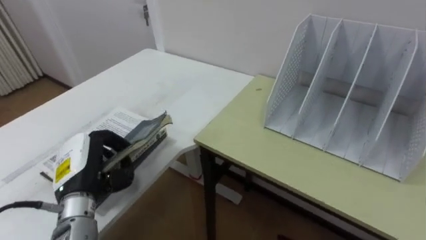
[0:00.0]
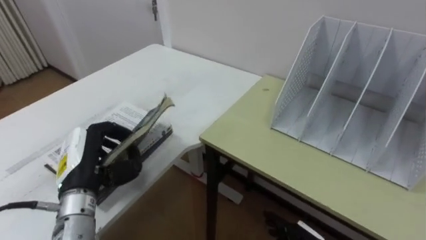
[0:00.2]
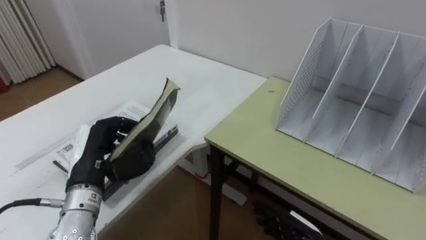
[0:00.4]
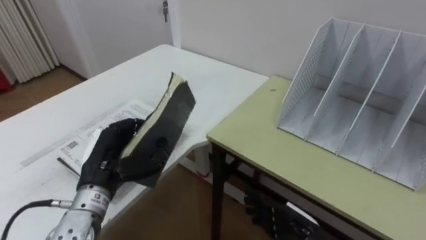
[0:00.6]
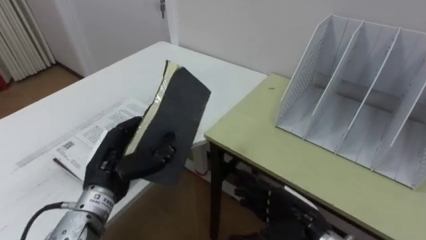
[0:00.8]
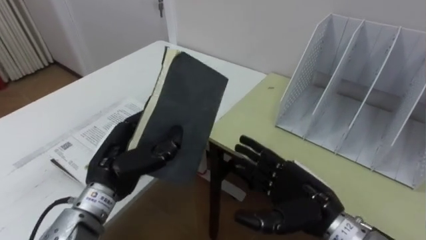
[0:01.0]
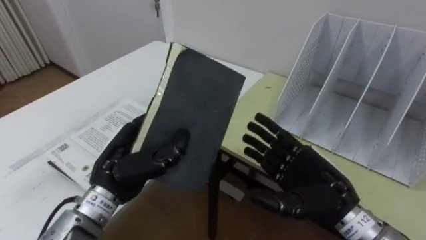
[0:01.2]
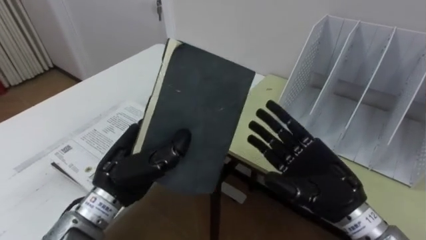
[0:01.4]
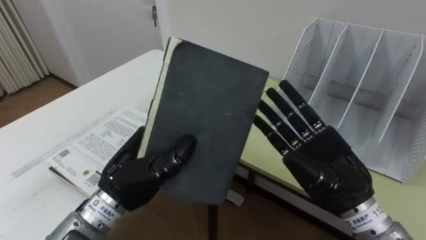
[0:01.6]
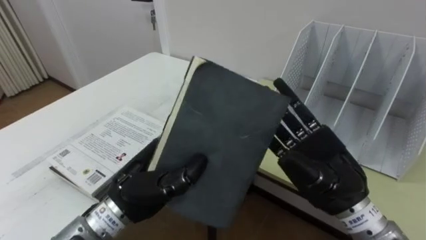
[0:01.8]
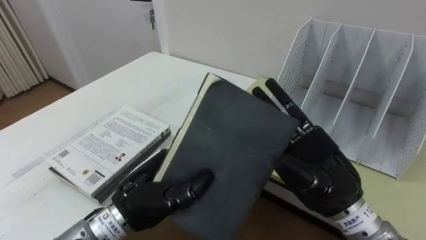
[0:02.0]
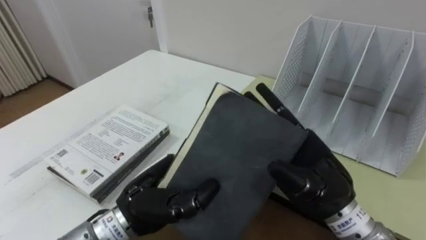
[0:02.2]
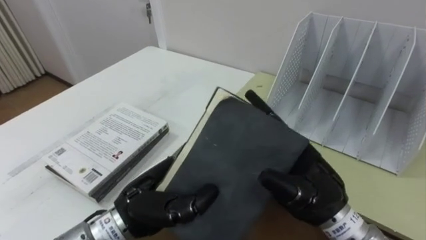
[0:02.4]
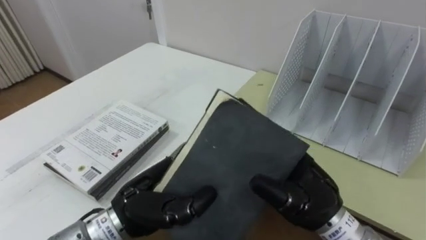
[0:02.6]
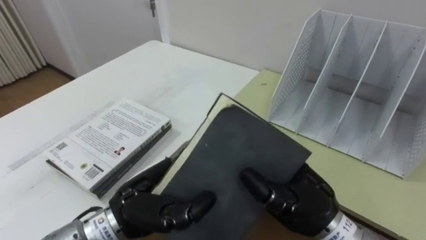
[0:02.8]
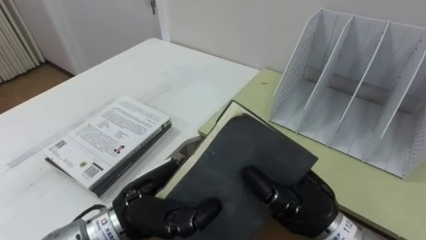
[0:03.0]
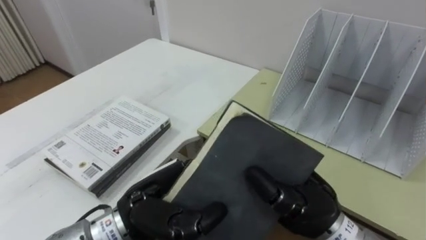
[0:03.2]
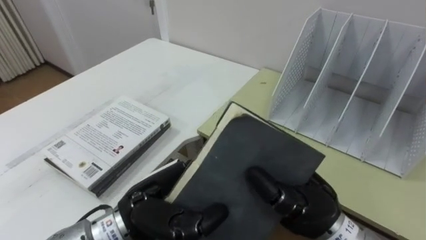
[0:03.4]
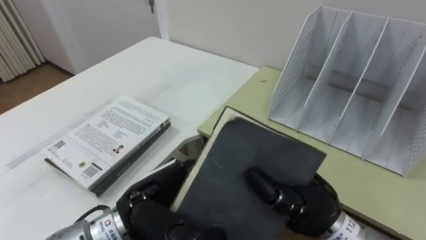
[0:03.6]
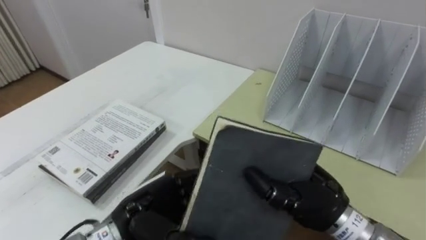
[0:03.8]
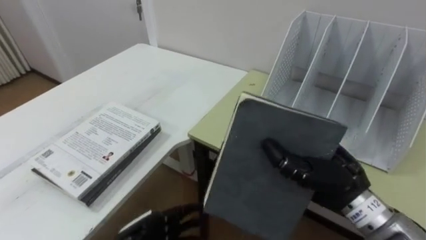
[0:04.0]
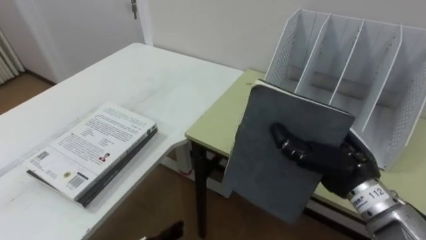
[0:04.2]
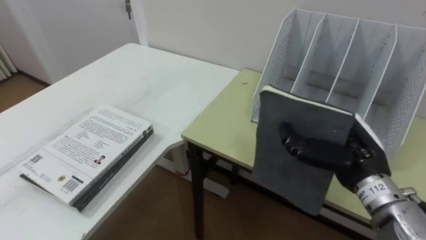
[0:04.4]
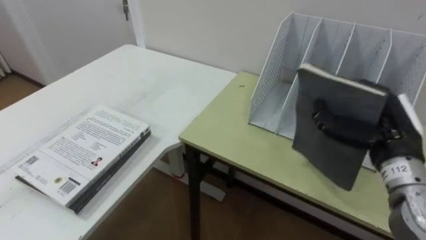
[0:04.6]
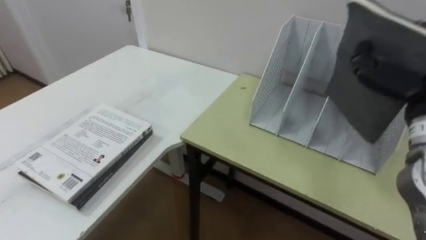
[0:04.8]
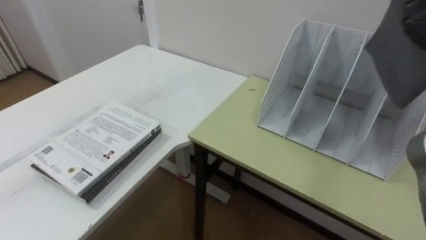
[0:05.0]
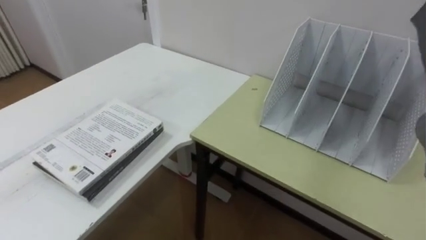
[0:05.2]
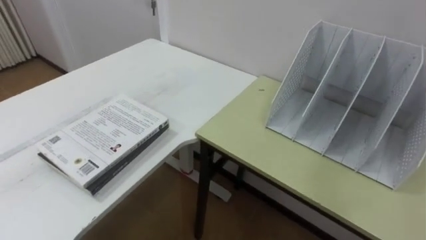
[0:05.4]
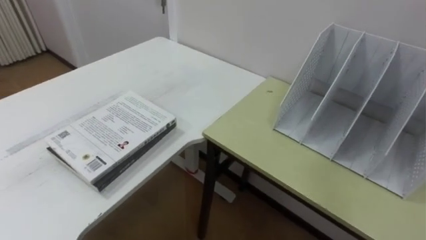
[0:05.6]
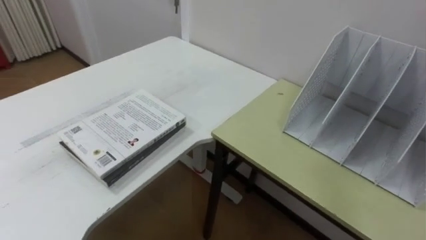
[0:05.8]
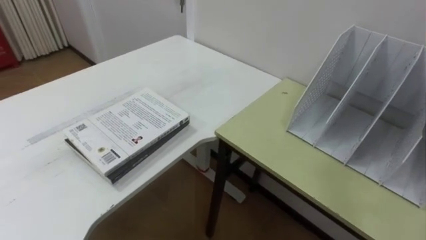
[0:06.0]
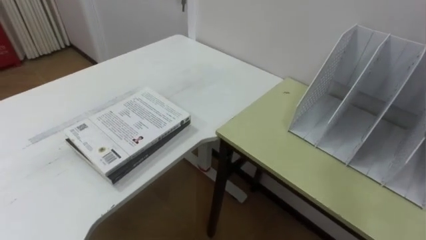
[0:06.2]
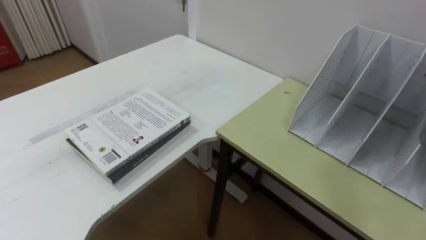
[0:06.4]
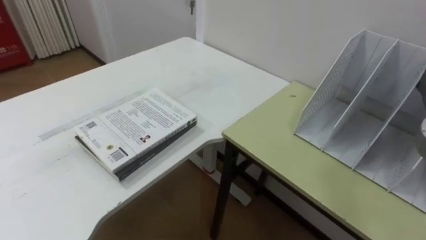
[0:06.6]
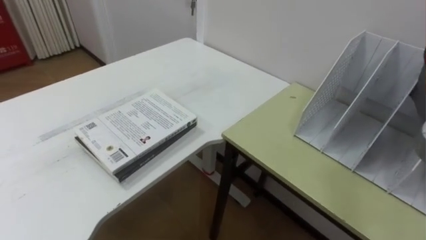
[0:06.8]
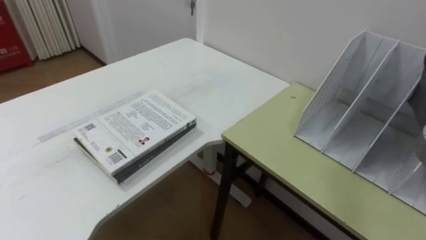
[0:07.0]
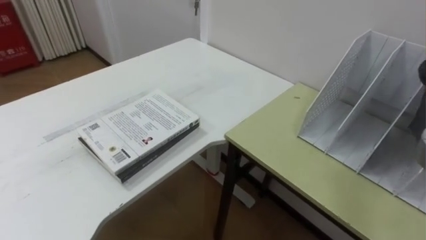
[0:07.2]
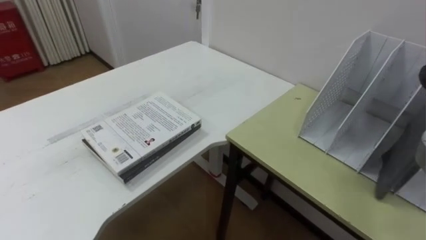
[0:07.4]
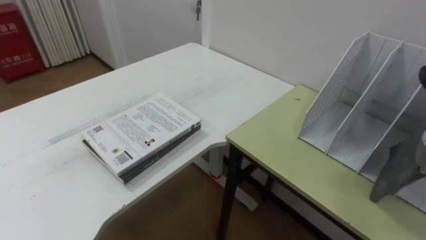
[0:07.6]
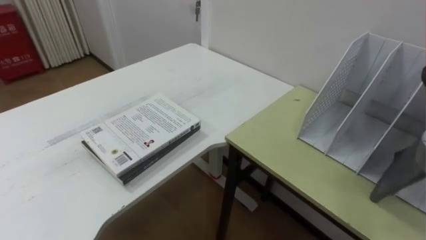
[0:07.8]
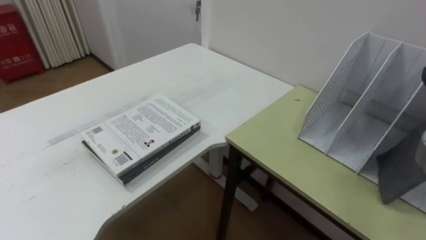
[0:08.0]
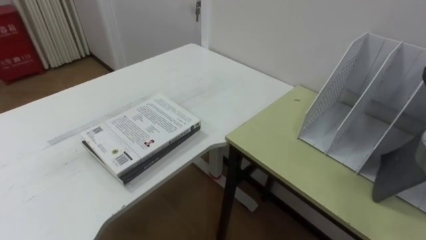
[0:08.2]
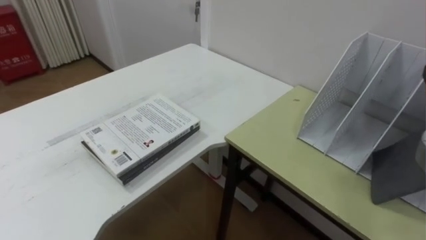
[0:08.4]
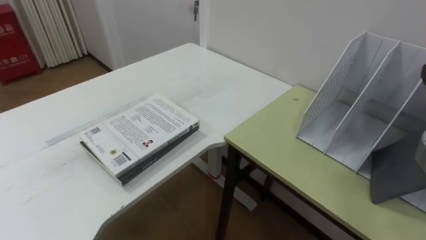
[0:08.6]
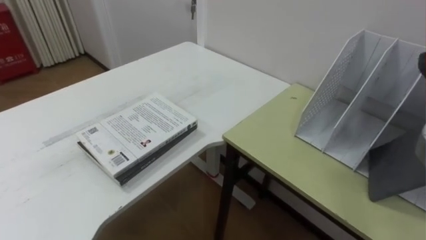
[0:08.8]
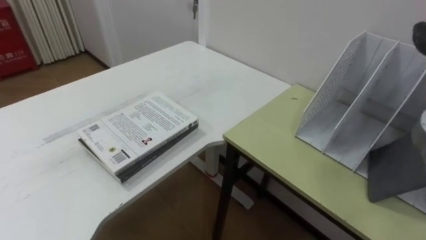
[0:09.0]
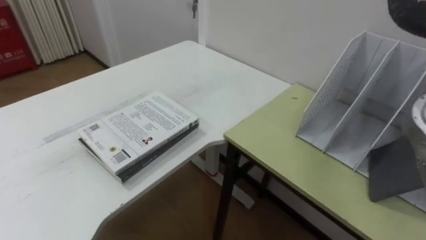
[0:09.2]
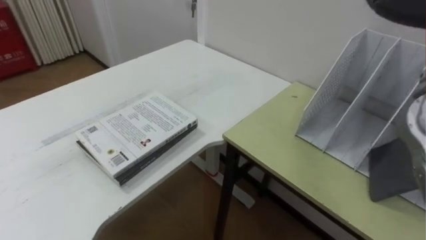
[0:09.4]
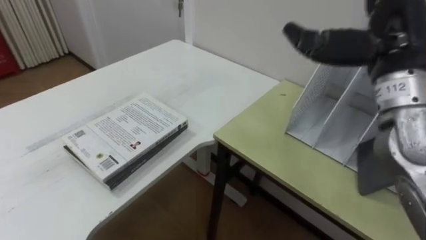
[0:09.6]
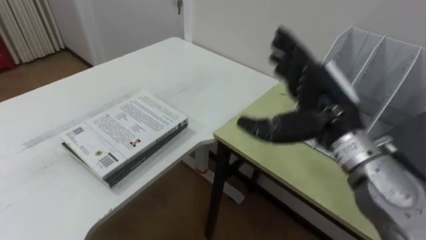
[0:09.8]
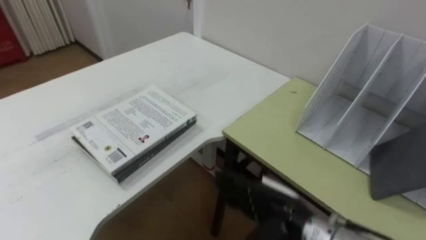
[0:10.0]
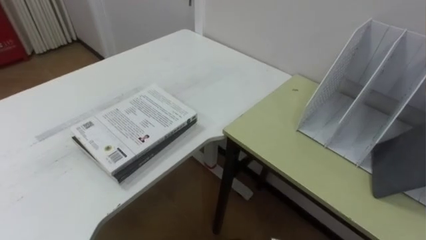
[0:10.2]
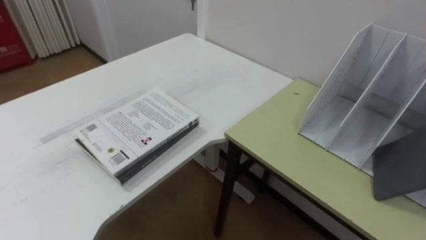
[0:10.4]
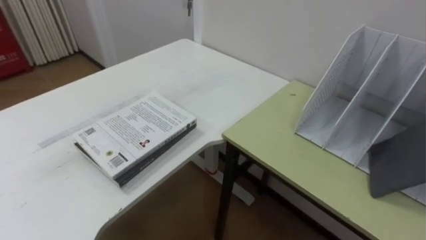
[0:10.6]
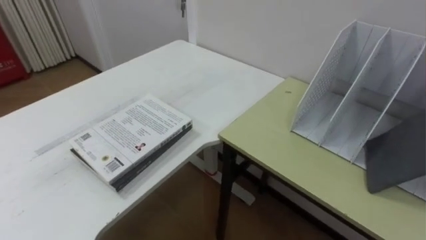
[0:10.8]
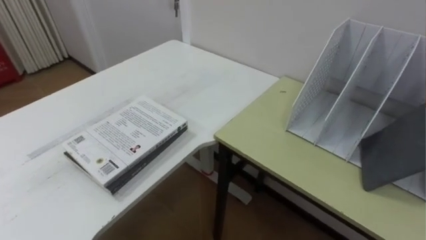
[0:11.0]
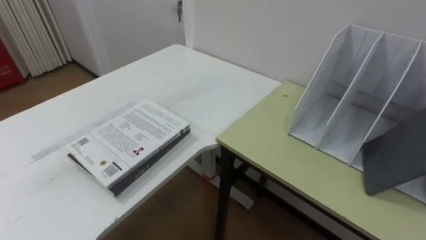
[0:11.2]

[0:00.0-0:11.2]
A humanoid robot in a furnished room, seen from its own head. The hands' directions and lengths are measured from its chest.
Task of the whole recording: Put the books on the table onto the bookshelf.
0:00.0 to 0:01.6: The left hand heads to the right and upward, covering approximately 10 cm.
0:01.6 to 0:03.2: The left hand shifts by about 5 cm. Meanwhile the right hand shifts approximately 5 cm to the left, and closes.
0:03.2 to 0:04.8: The right hand is displaced to the right, upward and forward by roughly 20 cm.

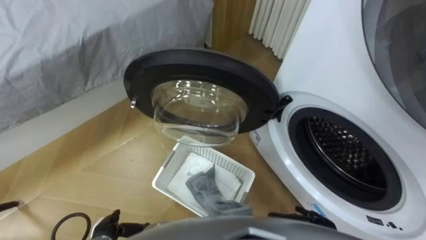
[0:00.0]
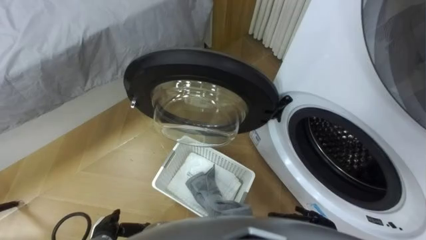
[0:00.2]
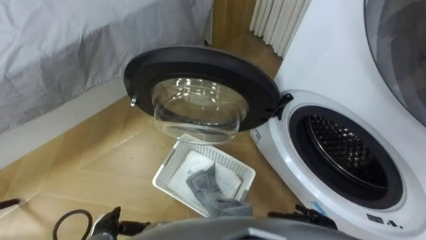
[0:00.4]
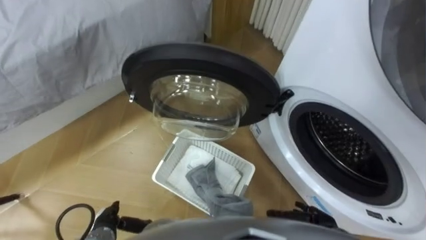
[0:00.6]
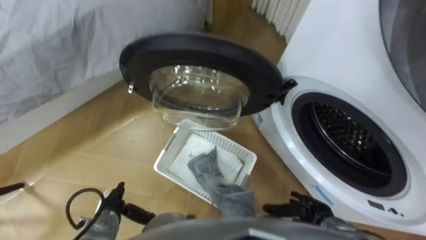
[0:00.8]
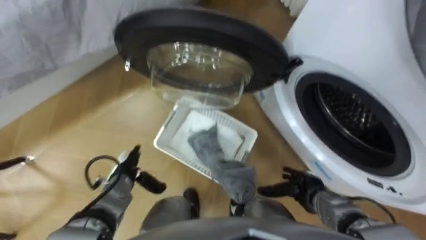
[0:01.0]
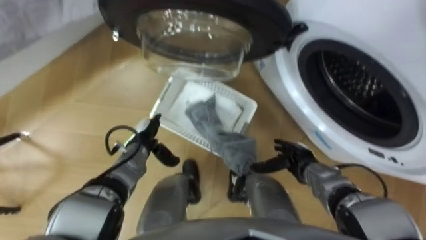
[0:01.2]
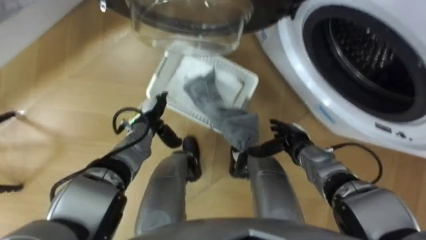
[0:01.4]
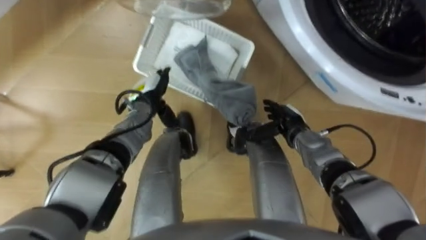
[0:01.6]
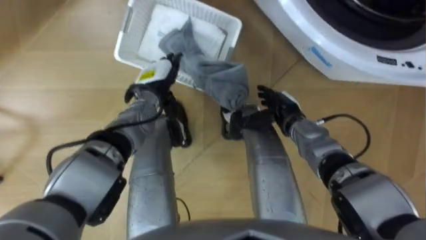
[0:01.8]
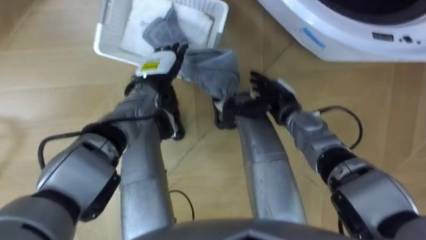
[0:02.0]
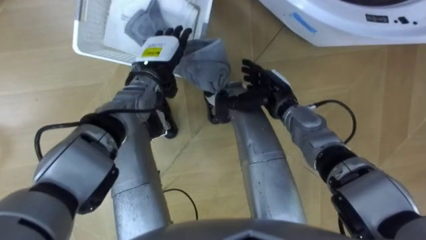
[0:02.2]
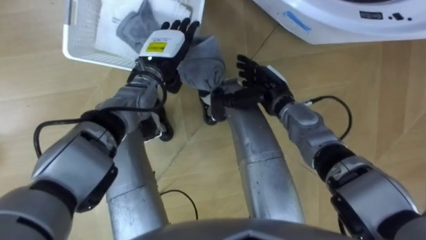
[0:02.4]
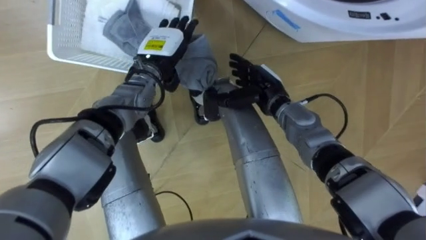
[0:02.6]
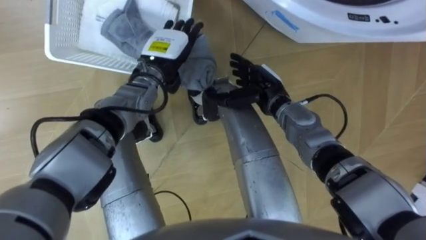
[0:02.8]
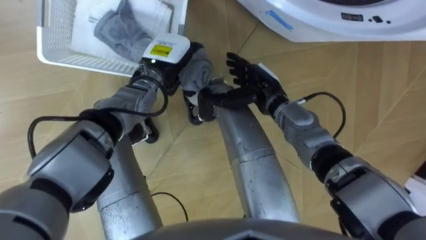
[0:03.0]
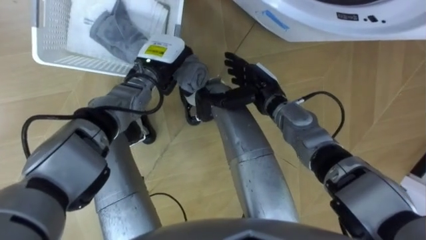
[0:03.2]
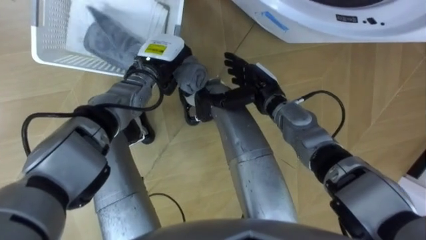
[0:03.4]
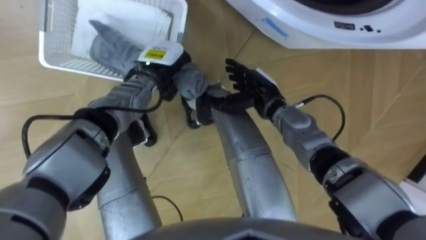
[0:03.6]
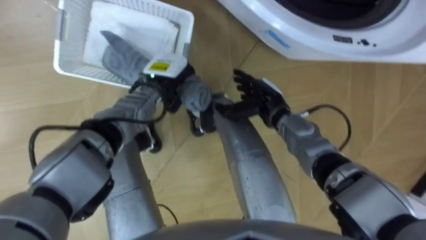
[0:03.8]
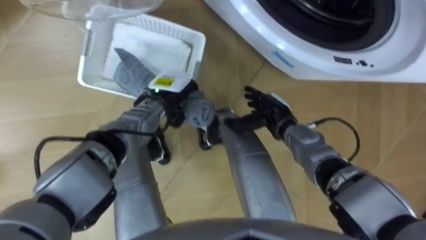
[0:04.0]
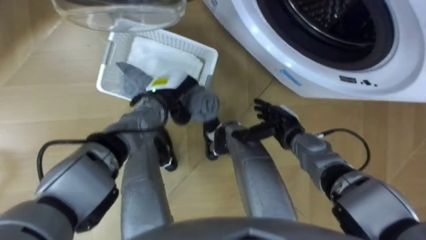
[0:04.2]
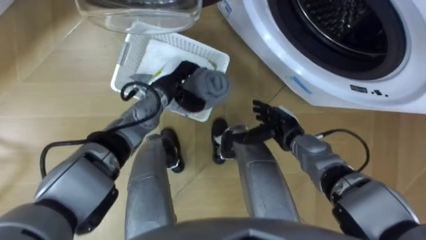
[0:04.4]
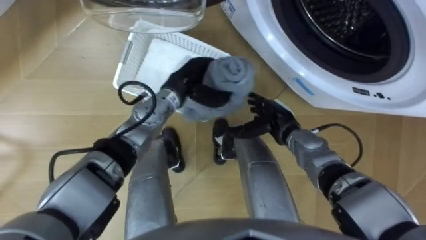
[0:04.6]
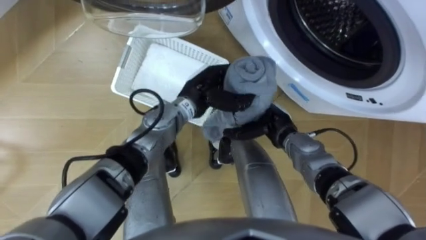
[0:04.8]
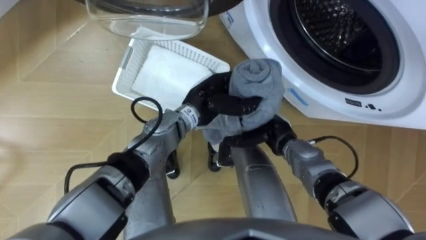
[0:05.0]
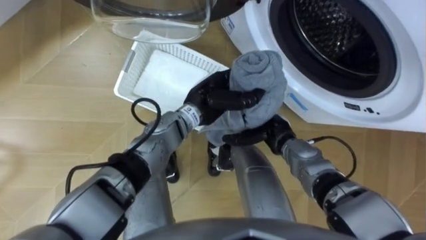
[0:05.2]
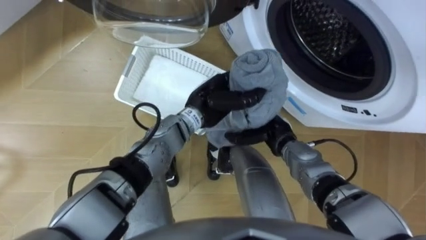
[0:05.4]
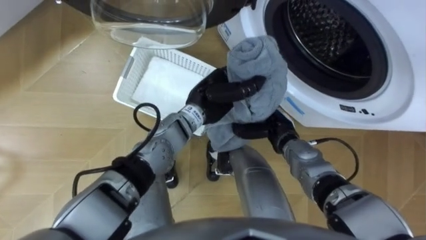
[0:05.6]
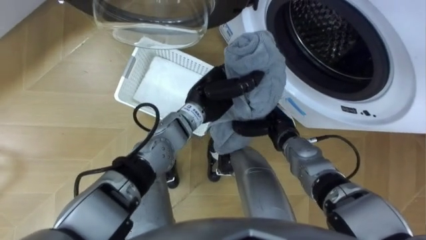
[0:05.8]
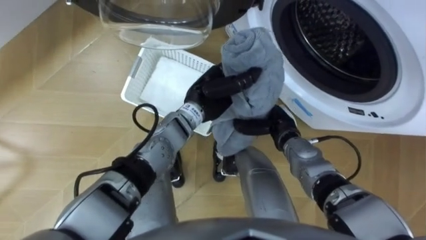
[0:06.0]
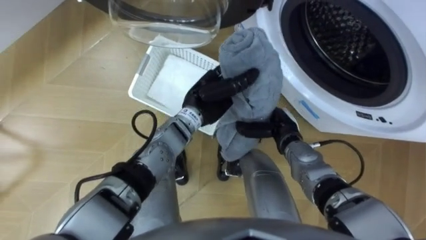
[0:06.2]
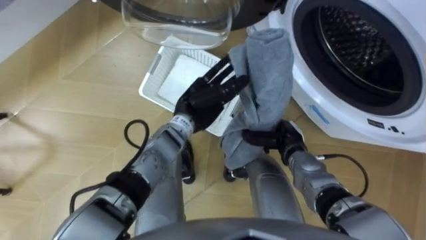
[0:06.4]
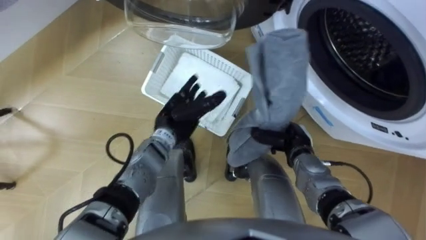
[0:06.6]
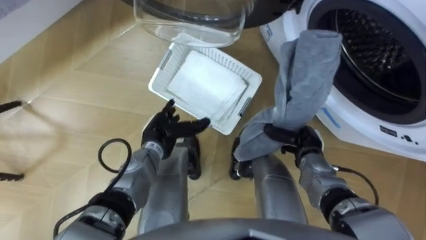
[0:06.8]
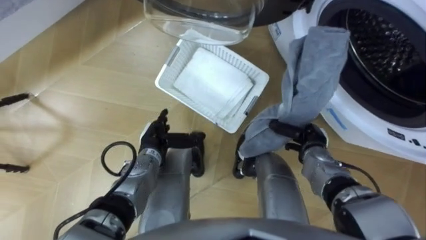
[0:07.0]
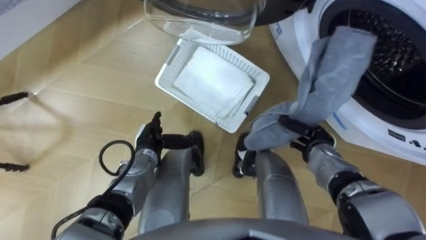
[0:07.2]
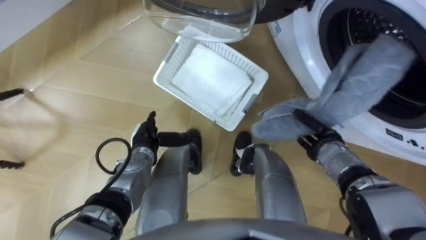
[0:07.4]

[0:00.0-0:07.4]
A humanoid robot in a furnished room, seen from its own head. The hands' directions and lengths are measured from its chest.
Task of the whole recording: Take the towel from the basket and put it into the washing machine.
0:01.4 to 0:03.0: The right hand heads upward, to the left and forward, covering roughly 15 cm, while the left hand travels upward, forward and to the right by roughly 15 cm, and closes.
0:03.0 to 0:04.4: The right hand heads downward, backward and to the right, covering approximately 10 cm.
0:04.4 to 0:06.0: The right hand closes up, while the left hand travels to the right by approximately 10 cm.
0:06.0 to 0:07.4: The right hand moves to the right, some 10 cm. The left hand goes about 20 cm to the left, downward and backward, and opens up.
